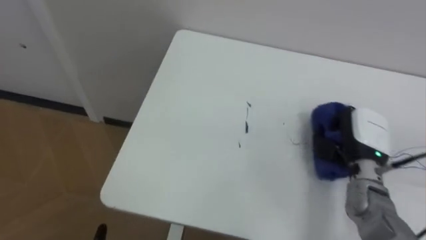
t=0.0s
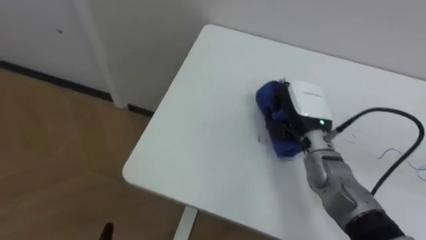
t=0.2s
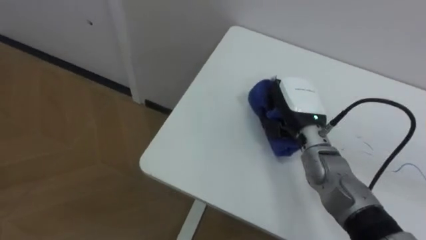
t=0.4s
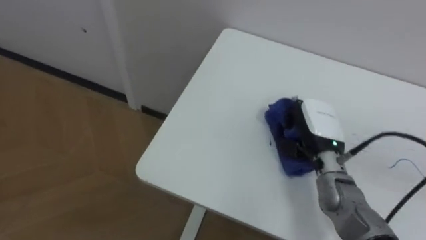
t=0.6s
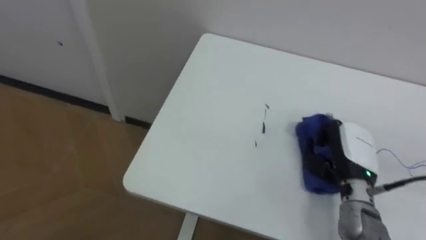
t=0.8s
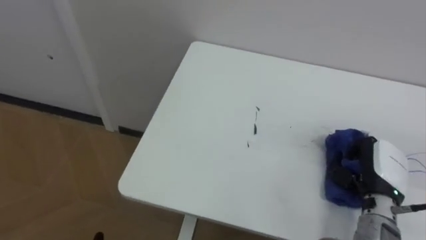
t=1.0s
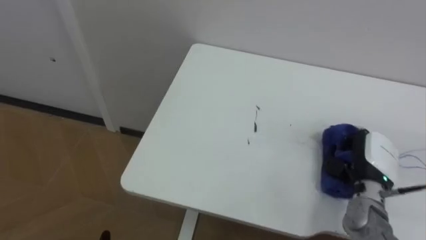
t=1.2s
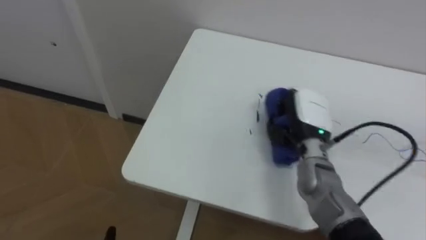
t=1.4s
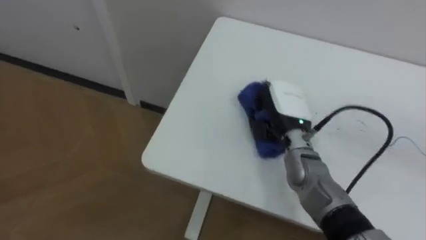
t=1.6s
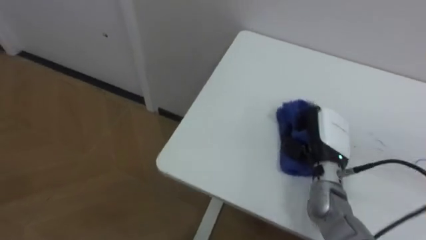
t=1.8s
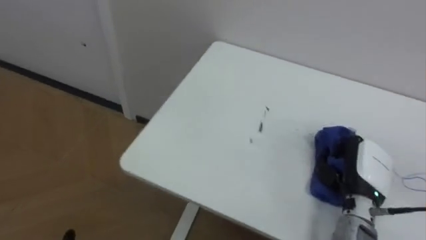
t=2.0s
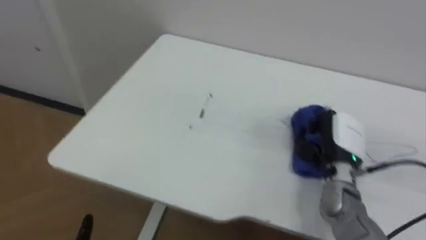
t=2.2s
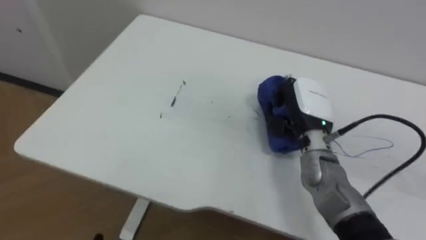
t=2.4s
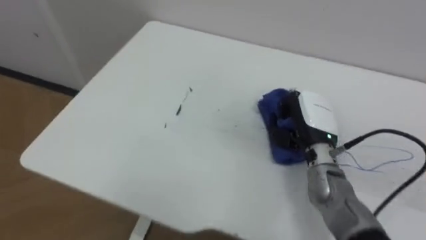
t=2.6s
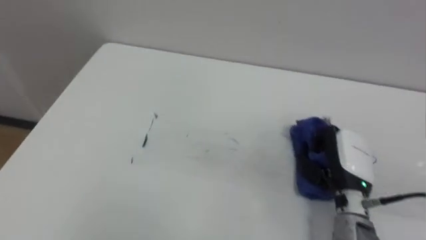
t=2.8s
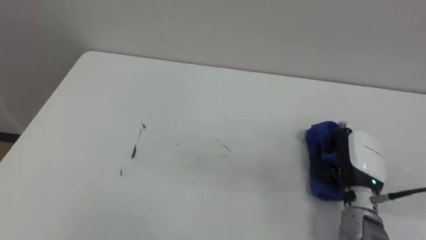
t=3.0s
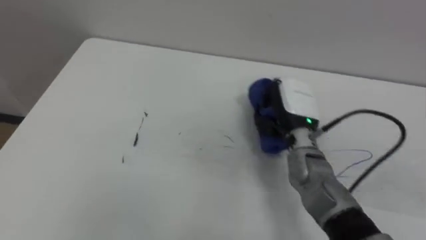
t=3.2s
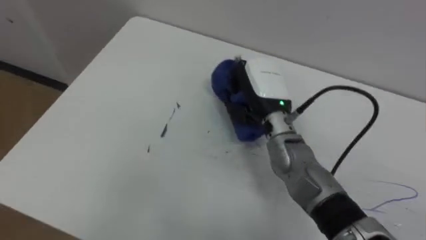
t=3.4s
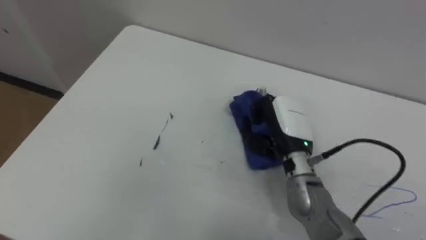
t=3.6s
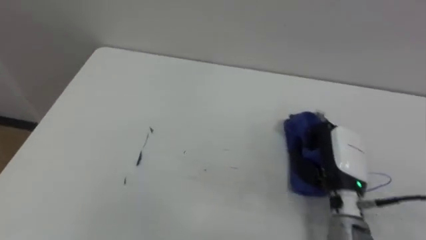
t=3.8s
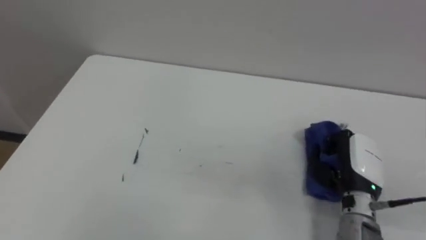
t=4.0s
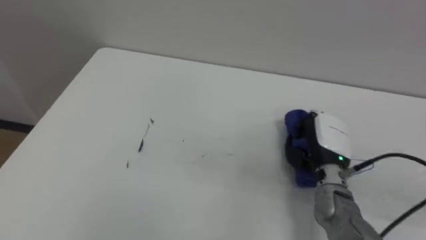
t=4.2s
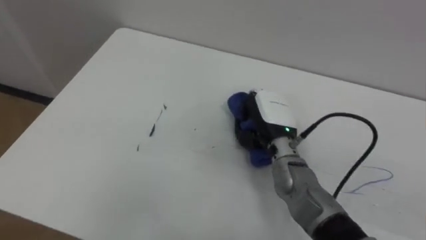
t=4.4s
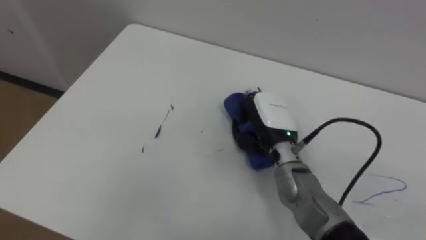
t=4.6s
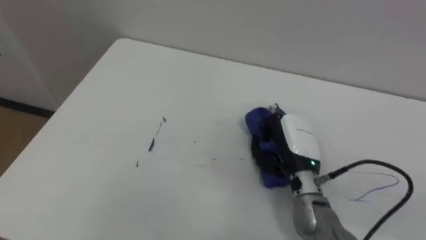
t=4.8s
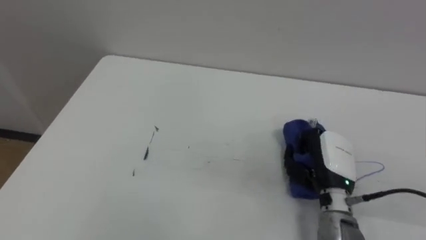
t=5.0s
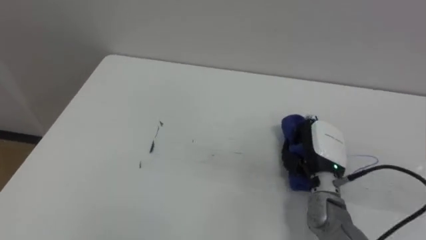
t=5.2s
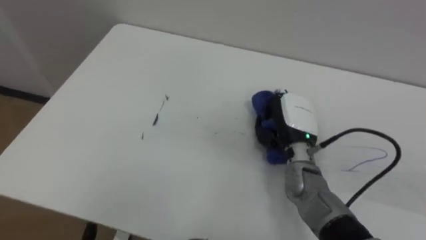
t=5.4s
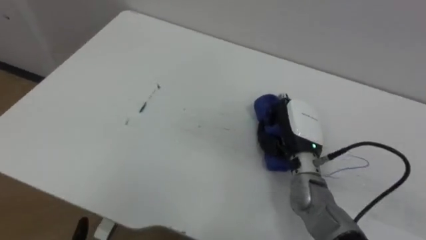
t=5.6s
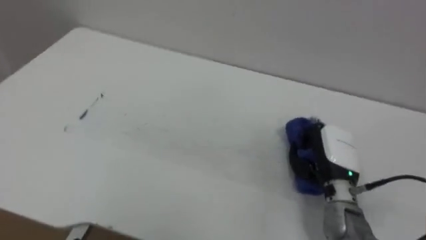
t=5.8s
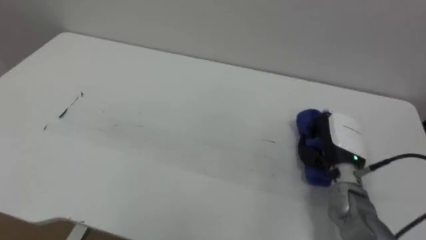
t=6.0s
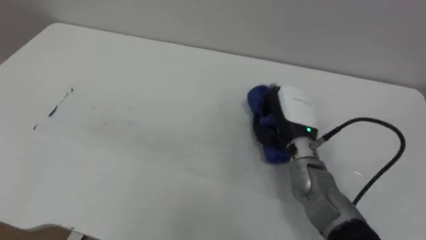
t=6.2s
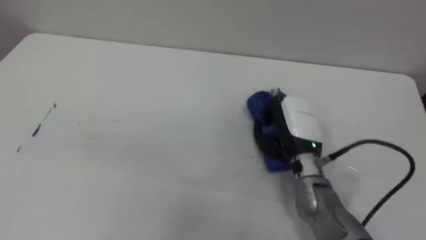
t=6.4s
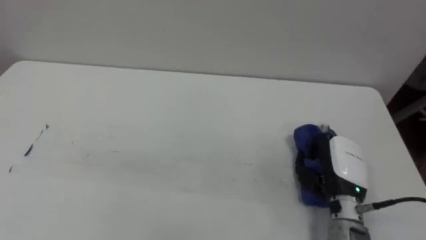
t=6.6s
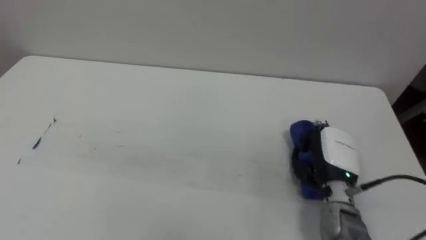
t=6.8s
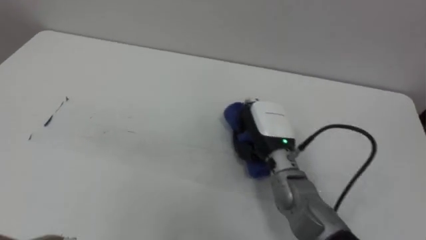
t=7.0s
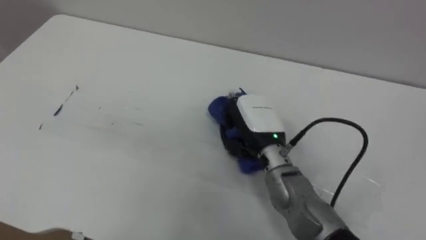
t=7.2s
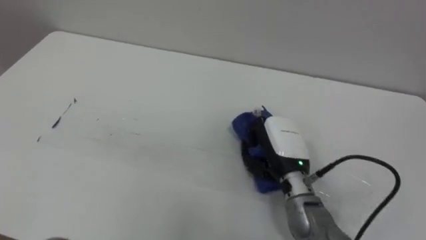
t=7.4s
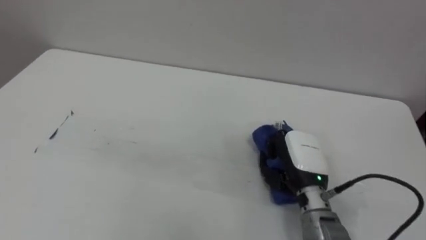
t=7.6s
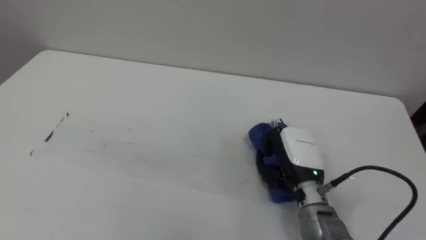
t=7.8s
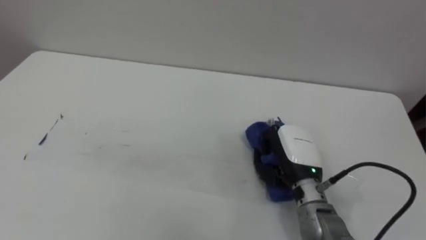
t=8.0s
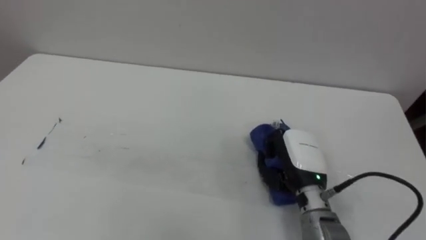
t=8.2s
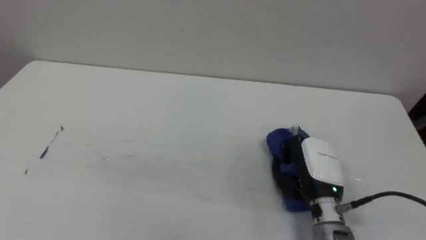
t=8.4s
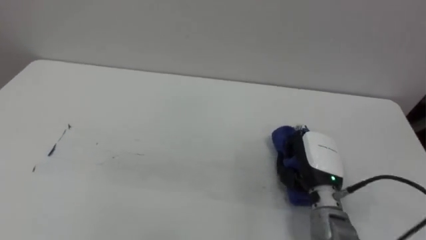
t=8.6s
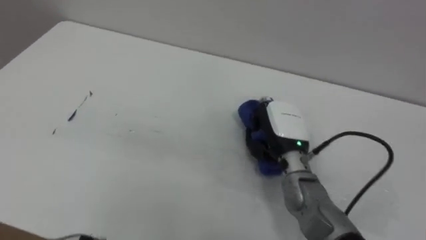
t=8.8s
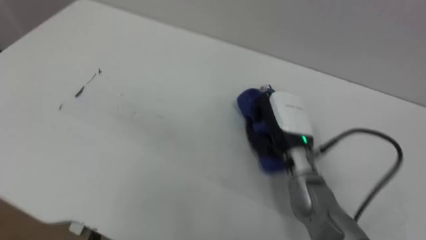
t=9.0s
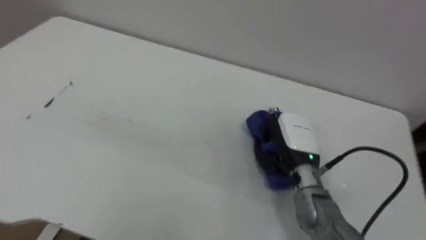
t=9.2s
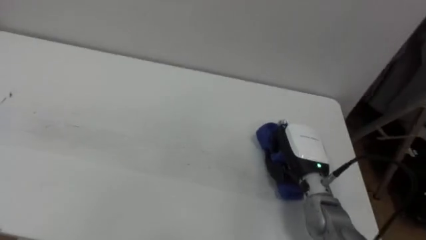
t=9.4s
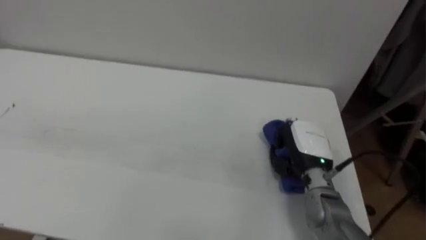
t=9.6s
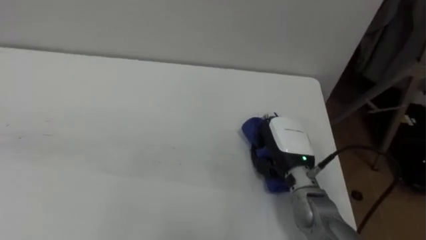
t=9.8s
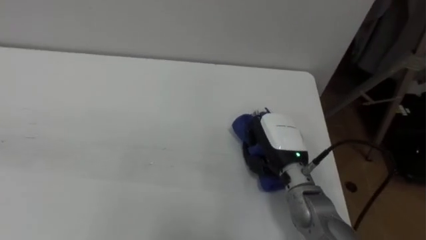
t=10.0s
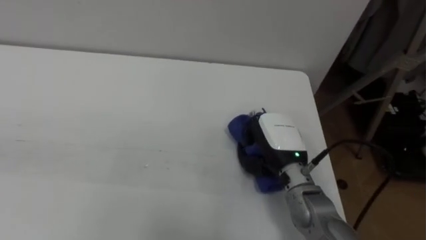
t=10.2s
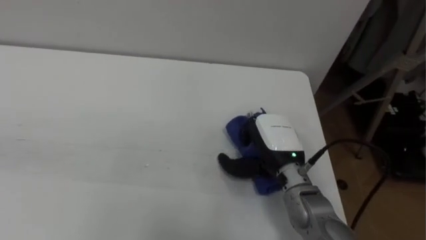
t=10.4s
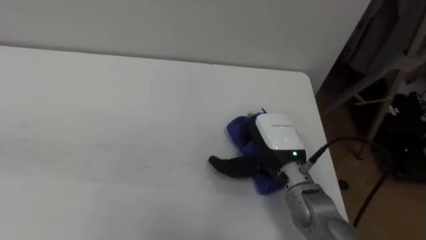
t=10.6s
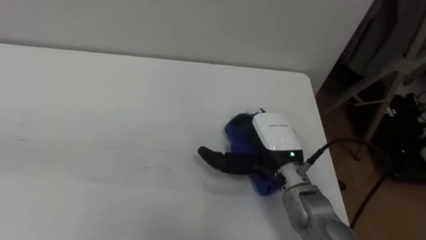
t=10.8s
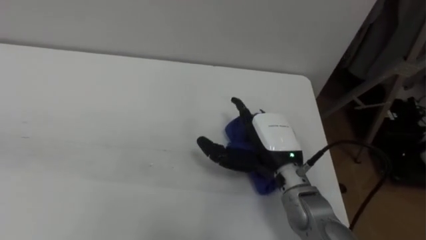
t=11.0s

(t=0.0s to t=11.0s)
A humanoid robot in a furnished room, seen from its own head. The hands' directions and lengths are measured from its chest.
Task of the whole recording: Wipe the blue pen marks off the table with the rag.
t=0.0s - t=1.6s: The right hand moves left and right over about 15 cm, changing direction 2 times.
t=1.6s - t=3.2s: The right hand goes left and right, approximately 15 cm each way, reversing 3 times.
t=3.2s - t=4.8s: The right hand goes left and right, some 20 cm each way, reversing 3 times.
t=4.8s - t=6.2s: The right hand goes left and right, approximately 10 cm each way, reversing 3 times.
t=6.2s - t=7.8s: The right hand moves left and right over about 15 cm, changing direction 2 times.
t=9.4s - t=11.0s: The right hand goes about 5 cm to the left, and opens its fingers.

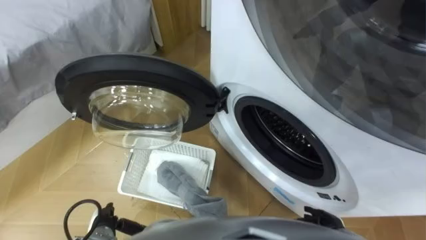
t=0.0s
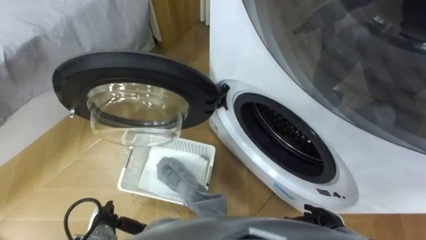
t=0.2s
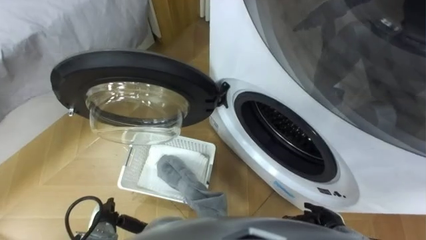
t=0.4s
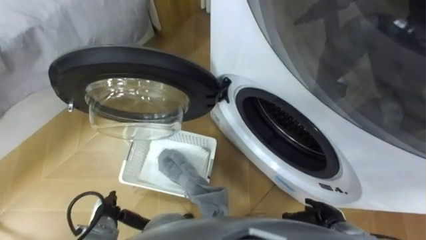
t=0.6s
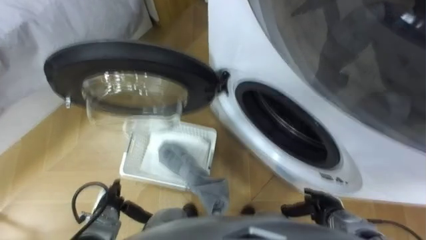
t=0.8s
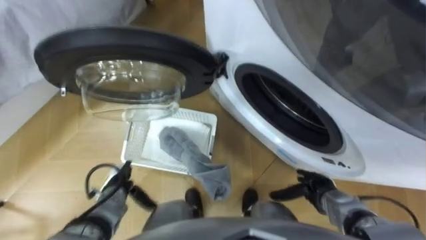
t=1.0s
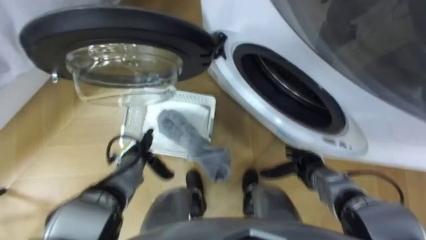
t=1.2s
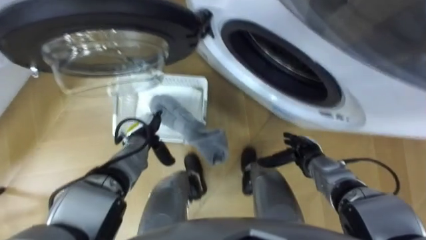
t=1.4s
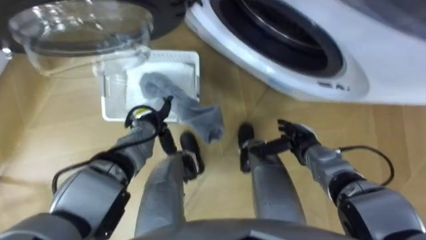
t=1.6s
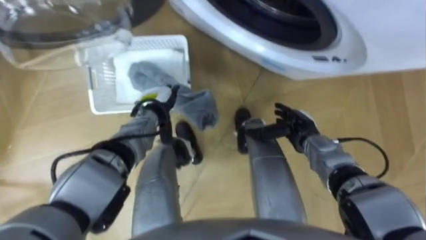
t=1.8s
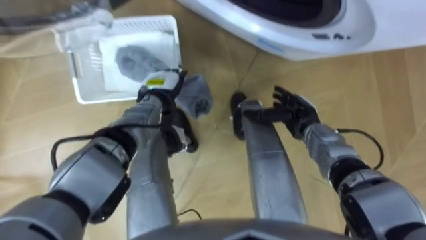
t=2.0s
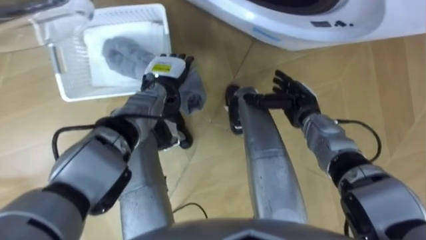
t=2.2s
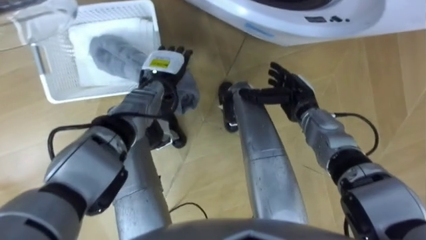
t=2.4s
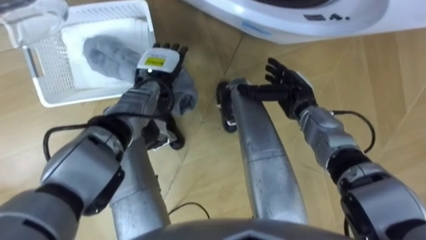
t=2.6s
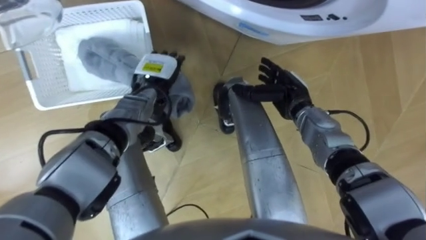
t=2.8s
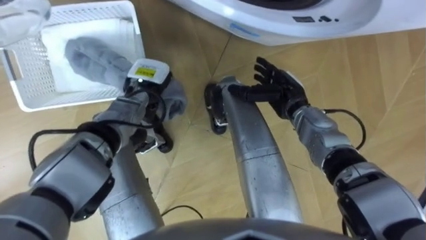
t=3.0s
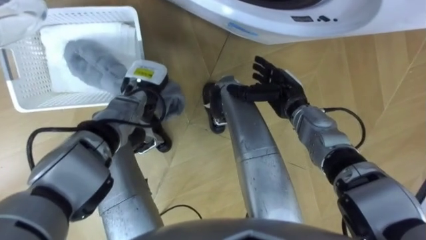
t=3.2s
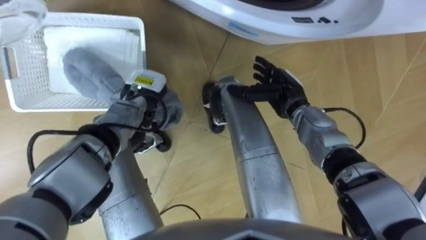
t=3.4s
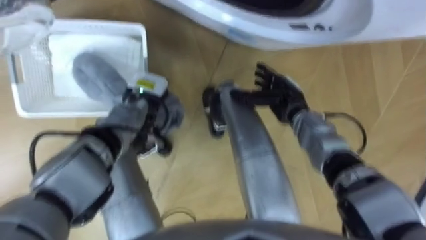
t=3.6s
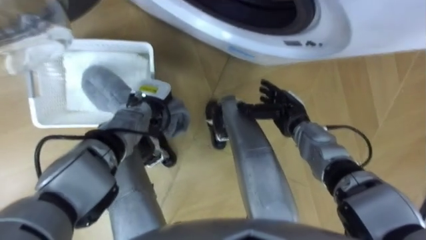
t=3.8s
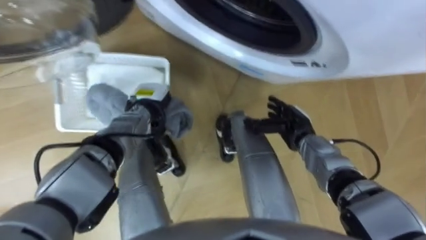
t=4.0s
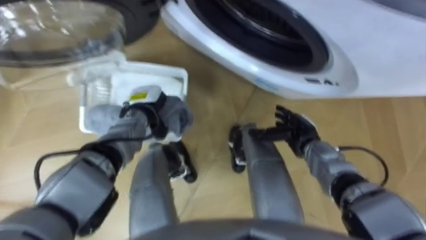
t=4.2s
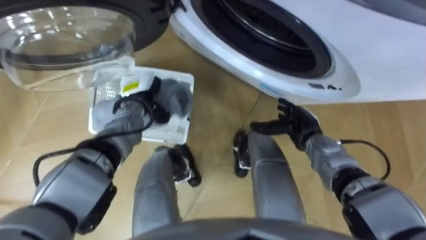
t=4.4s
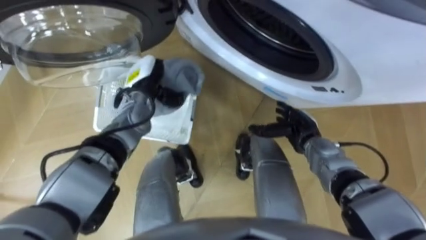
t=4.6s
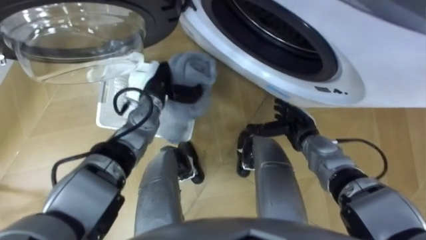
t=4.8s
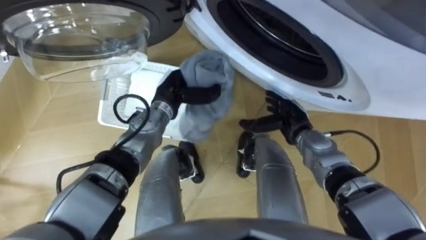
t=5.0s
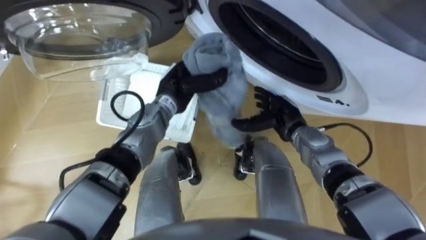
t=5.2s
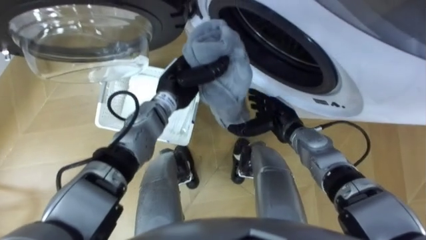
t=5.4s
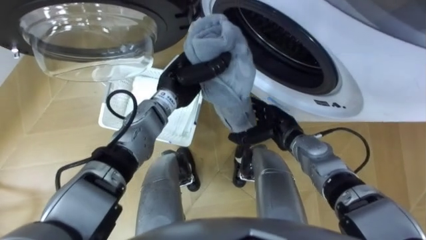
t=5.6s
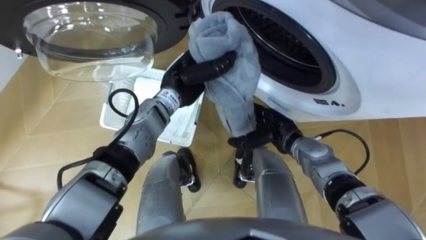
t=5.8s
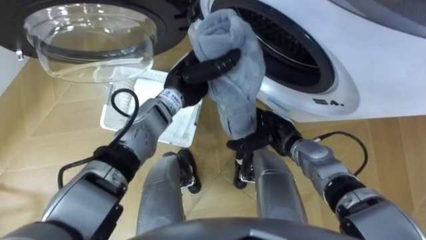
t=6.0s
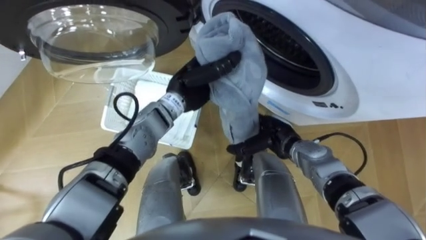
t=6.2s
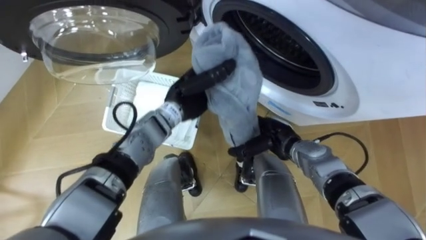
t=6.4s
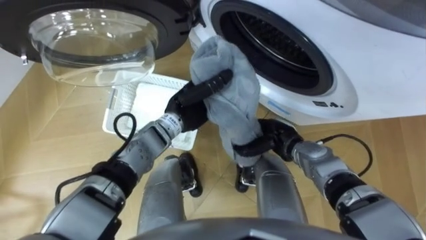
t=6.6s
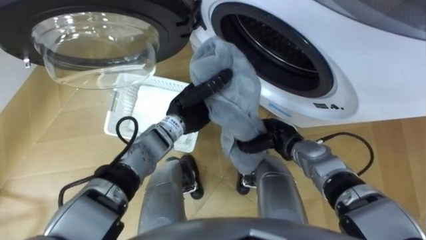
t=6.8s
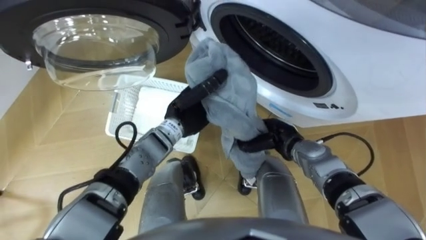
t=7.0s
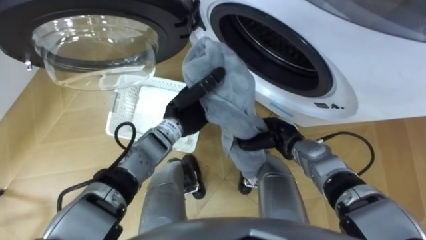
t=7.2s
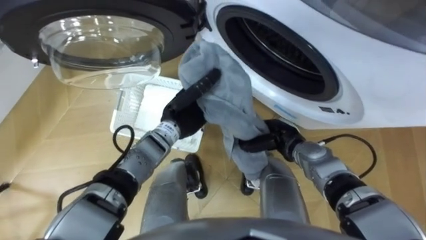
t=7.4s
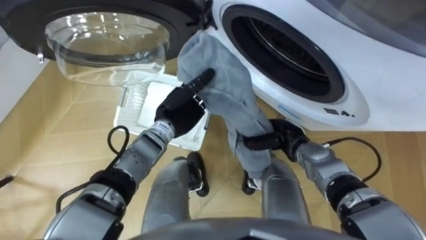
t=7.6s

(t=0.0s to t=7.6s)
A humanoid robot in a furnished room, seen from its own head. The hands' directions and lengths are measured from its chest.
Task of the whole recording: Take the towel from the basket and put it into the washing machine.
t=1.6s - t=3.0s: The right hand moves upward, forward and to the left, roughly 15 cm. The left hand travels upward and forward by some 10 cm.
t=3.0s - t=4.6s: The left hand closes; the right hand is displaced downward and backward by about 10 cm.
t=4.6s - t=6.0s: The right hand heads to the left, covering approximately 5 cm. Meanwhile the left hand shifts about 10 cm to the right.
t=6.0s - t=7.6s: The right hand closes up. The left hand is displaced downward by about 5 cm.
